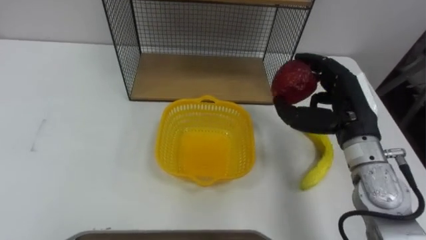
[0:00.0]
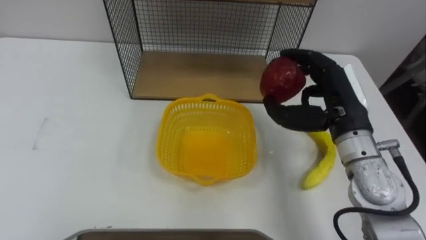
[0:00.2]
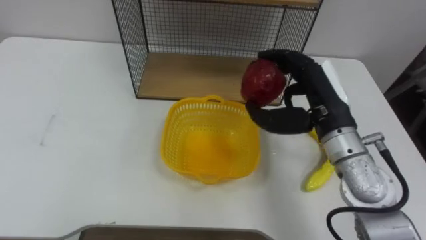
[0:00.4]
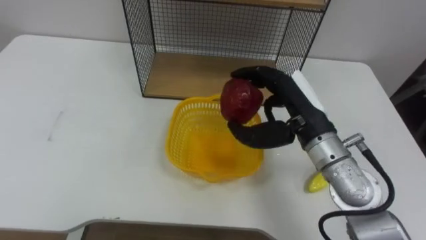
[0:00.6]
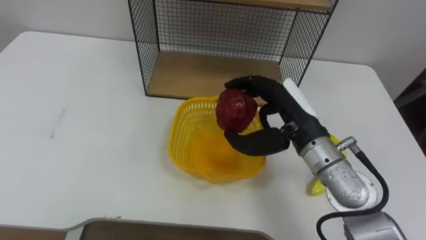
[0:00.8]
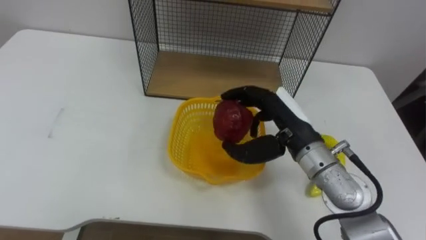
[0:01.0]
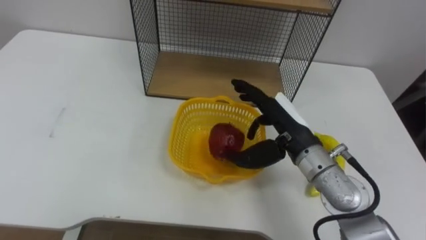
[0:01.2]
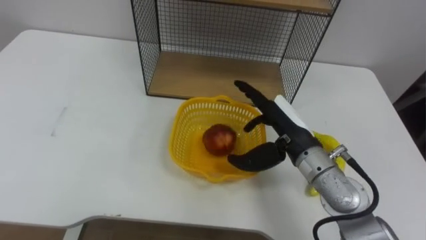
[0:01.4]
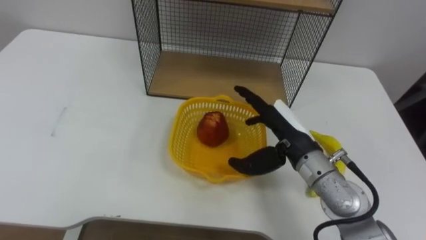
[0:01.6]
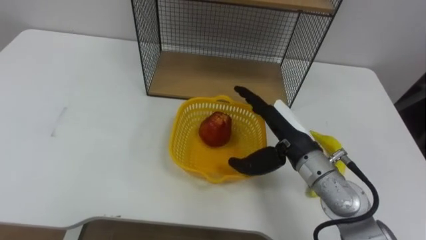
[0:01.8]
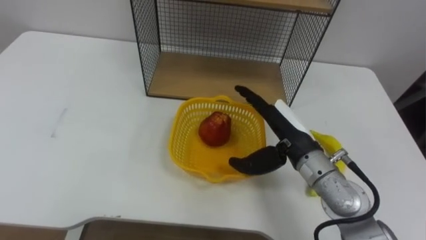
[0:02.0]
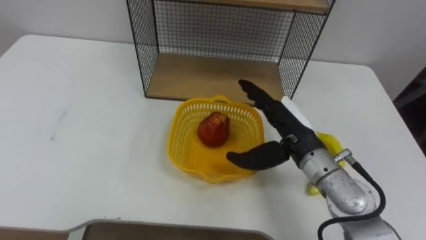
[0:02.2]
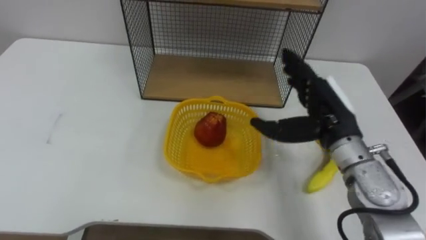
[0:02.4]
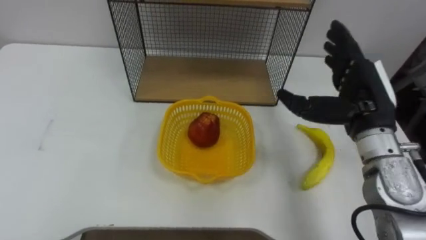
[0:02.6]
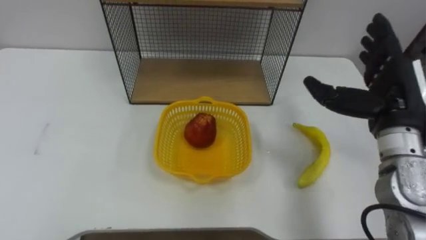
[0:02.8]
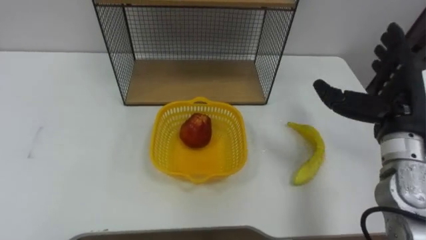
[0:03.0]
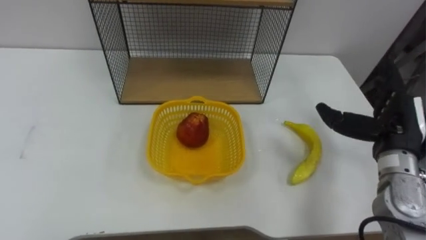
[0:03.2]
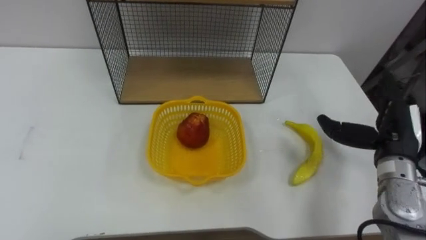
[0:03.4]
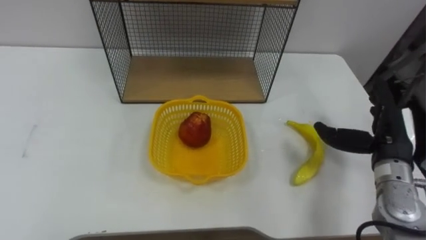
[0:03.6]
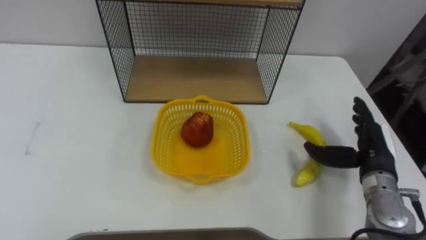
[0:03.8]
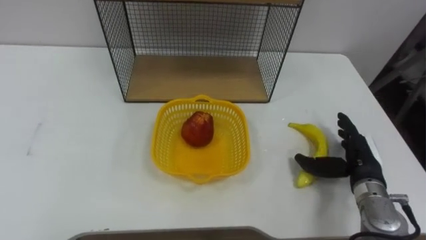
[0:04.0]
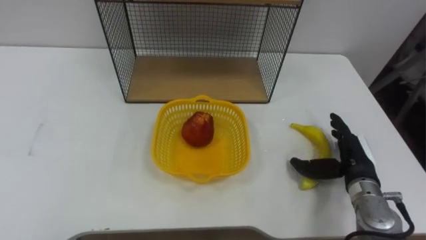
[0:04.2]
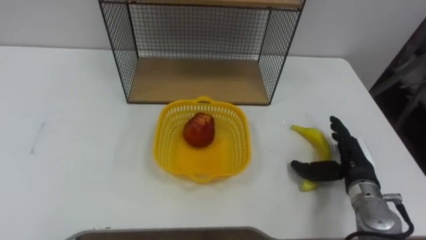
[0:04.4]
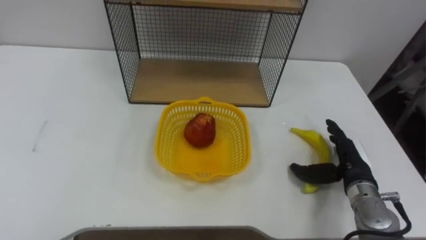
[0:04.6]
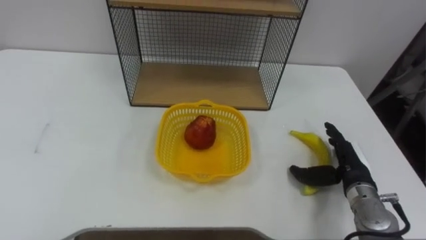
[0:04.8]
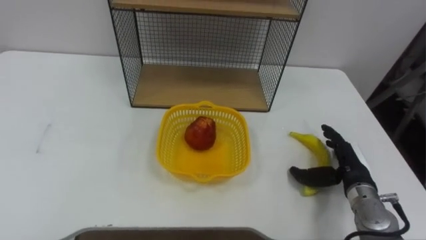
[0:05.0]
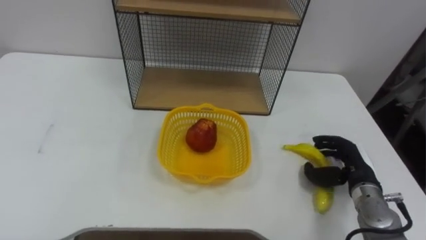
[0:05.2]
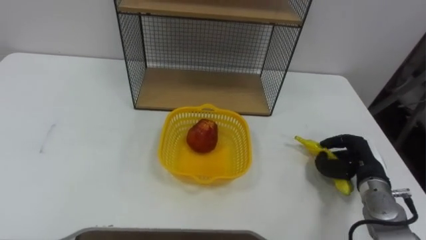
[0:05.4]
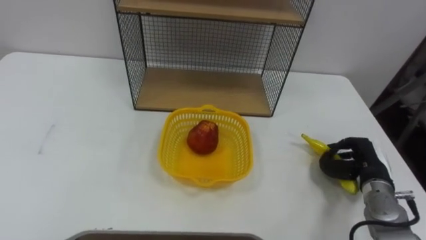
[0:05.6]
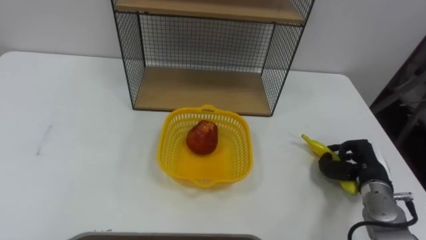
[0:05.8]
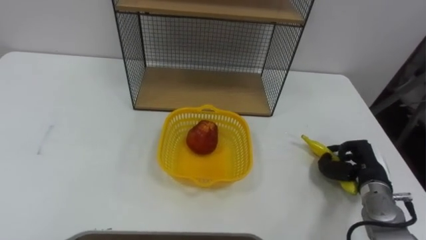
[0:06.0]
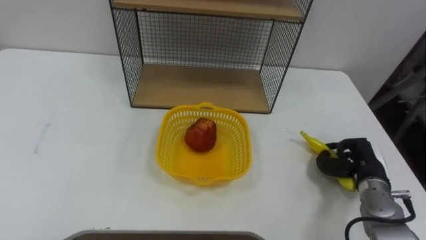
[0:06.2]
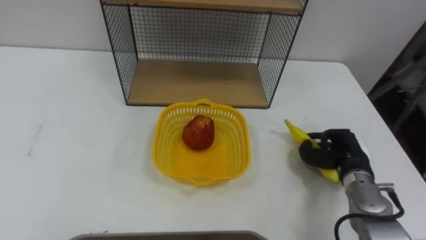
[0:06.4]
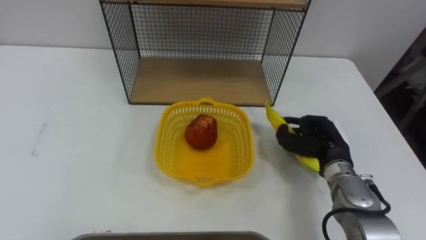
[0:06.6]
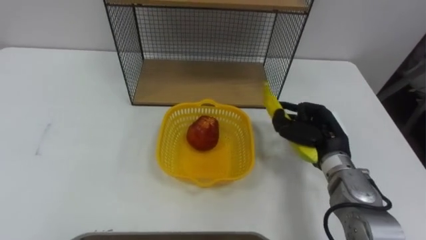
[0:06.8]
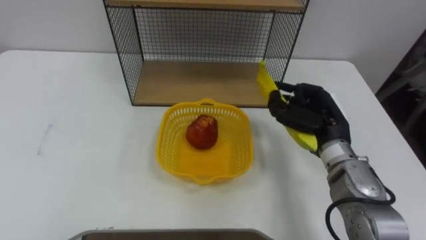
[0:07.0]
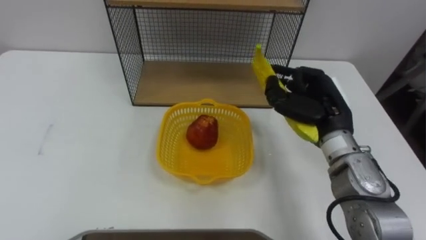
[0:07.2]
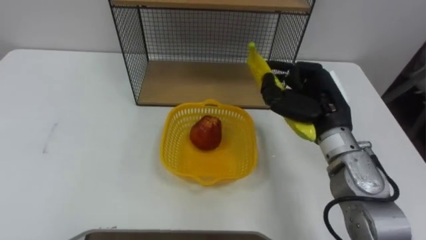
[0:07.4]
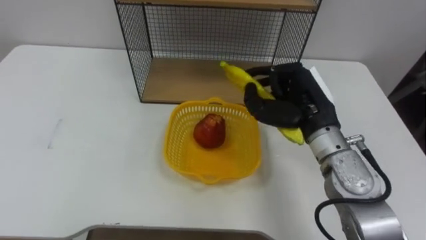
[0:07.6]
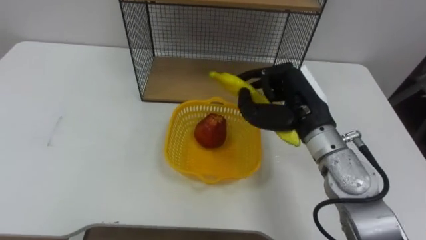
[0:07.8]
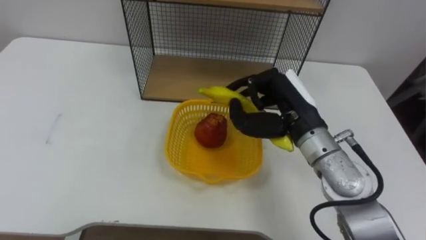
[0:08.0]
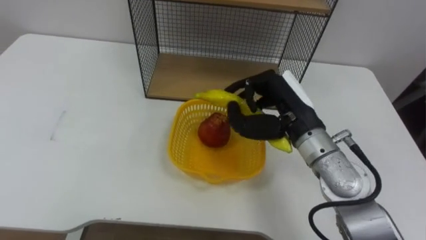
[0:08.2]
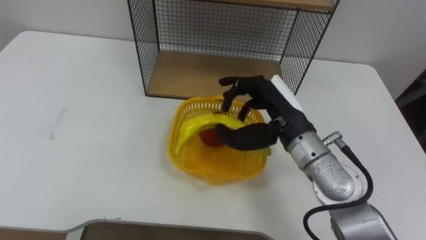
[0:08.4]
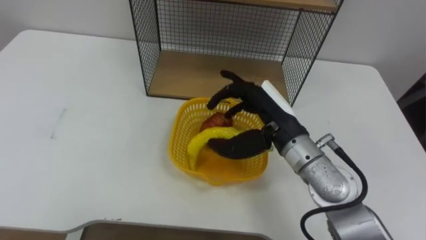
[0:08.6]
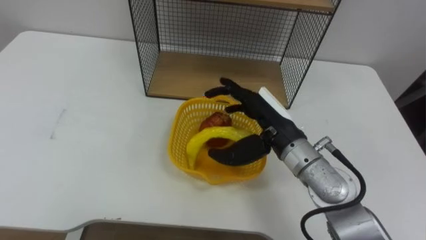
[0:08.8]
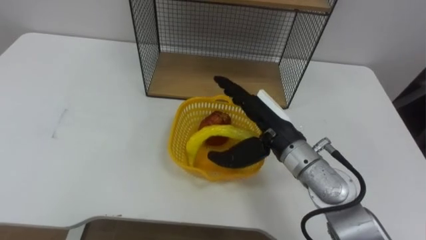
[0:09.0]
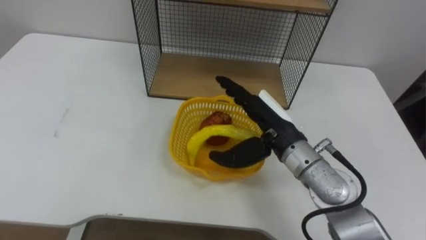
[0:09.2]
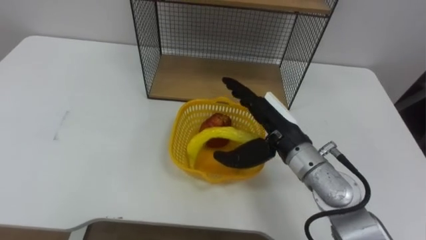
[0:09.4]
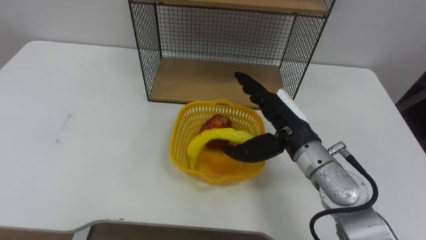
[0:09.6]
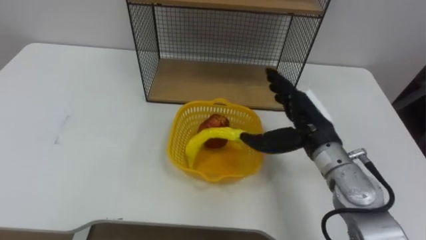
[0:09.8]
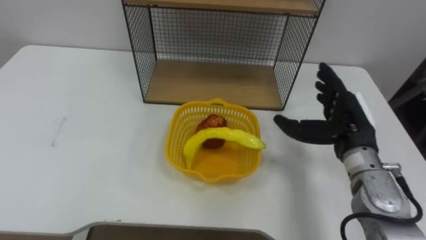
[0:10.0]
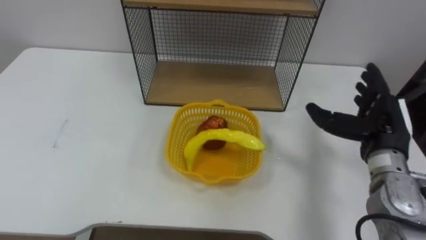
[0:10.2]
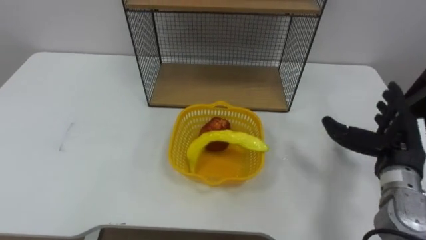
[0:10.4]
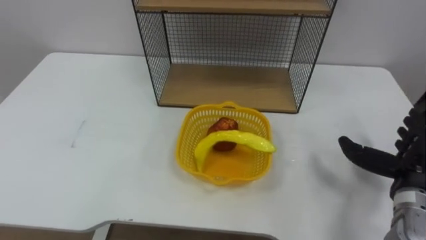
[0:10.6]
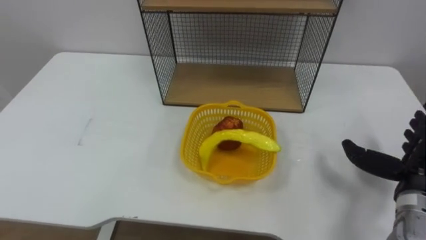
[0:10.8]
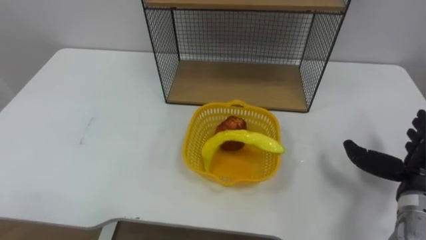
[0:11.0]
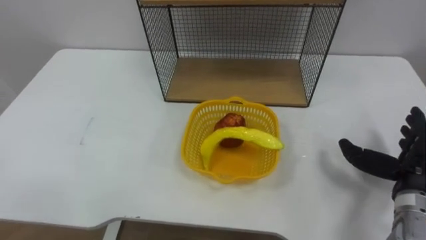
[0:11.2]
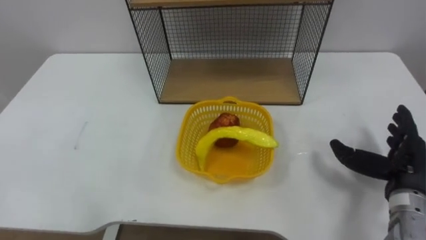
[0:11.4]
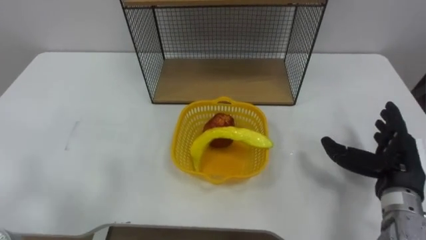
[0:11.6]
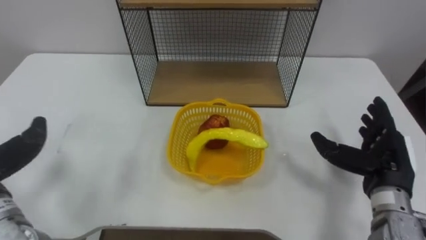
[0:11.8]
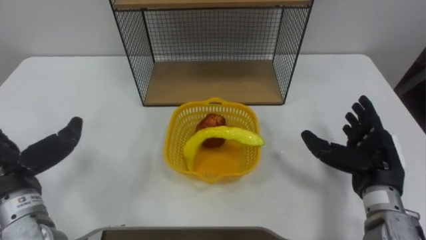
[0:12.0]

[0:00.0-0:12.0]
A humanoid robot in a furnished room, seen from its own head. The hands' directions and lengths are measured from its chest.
Task of the whole recording: Put the fruit on the table into the basket, then place the basket on the shelf.
0:00.0 to 0:01.6: The right hand travels to the left by about 10 cm, and opens up.
0:01.6 to 0:03.0: The right hand travels to the right and upward by about 15 cm.
0:03.0 to 0:04.4: The right hand shifts about 15 cm downward.
0:04.4 to 0:06.0: The right hand closes its fingers.
0:06.0 to 0:07.6: The right hand travels upward and to the left by some 25 cm.
0:07.6 to 0:09.0: The right hand shifts about 5 cm to the left, and opens up.
0:09.0 to 0:10.4: The right hand goes roughly 20 cm to the right.

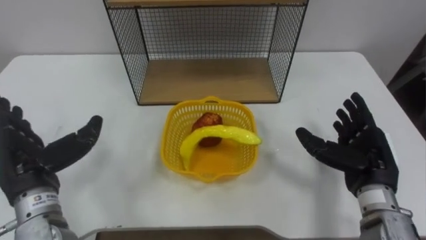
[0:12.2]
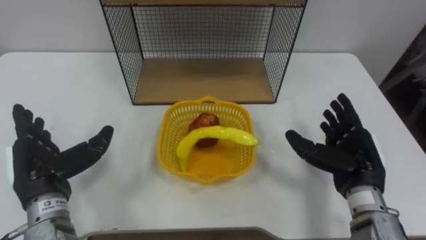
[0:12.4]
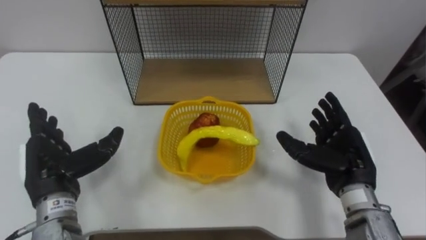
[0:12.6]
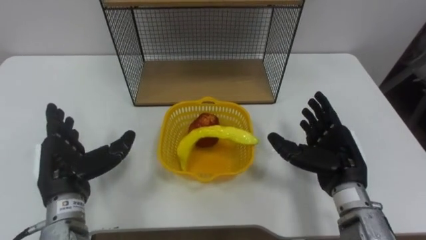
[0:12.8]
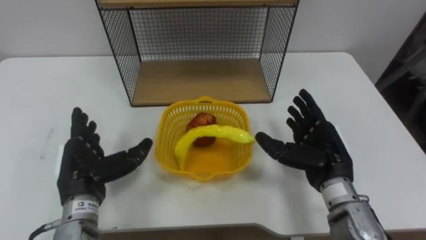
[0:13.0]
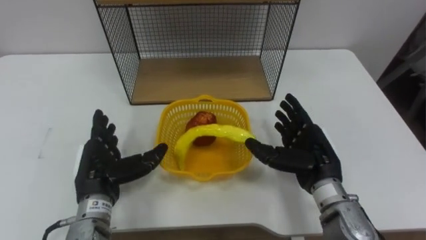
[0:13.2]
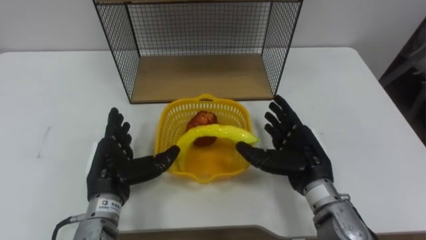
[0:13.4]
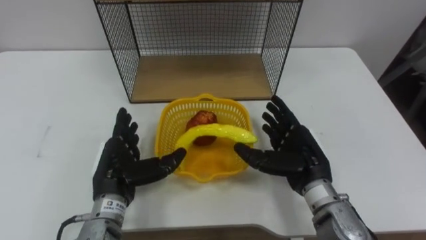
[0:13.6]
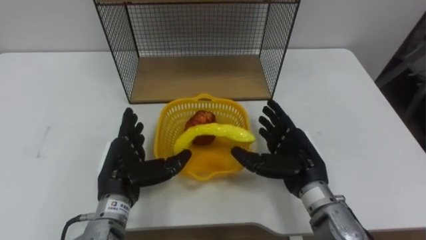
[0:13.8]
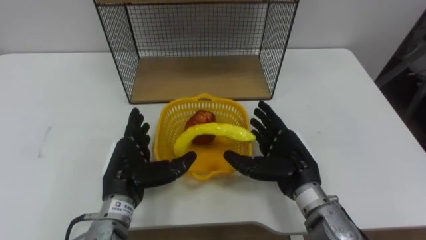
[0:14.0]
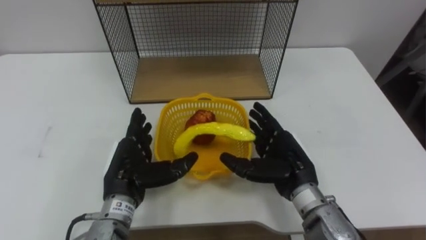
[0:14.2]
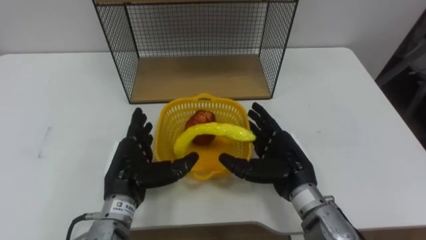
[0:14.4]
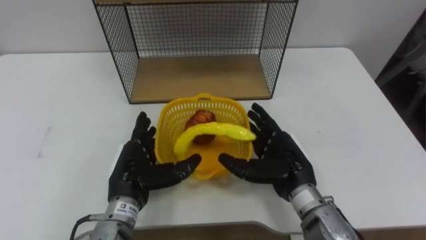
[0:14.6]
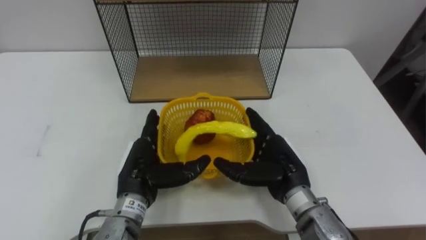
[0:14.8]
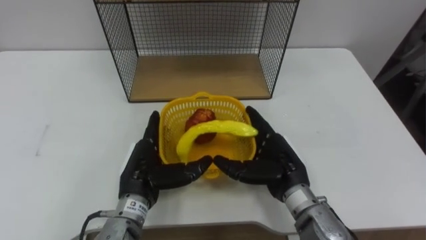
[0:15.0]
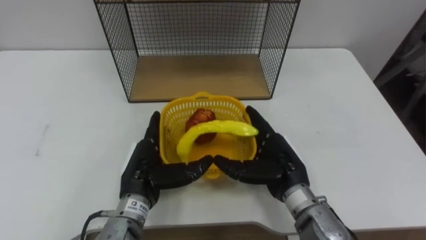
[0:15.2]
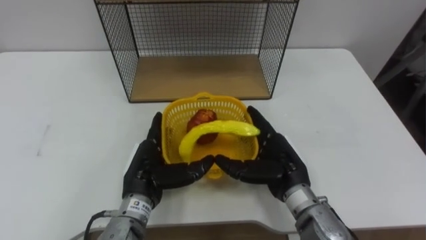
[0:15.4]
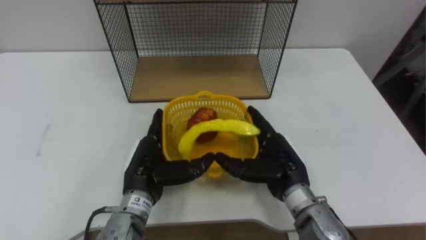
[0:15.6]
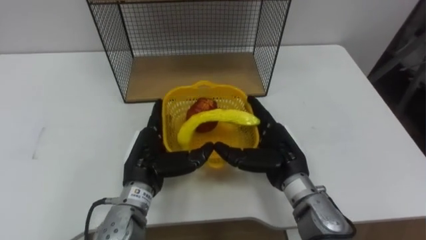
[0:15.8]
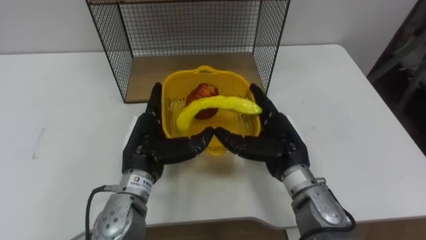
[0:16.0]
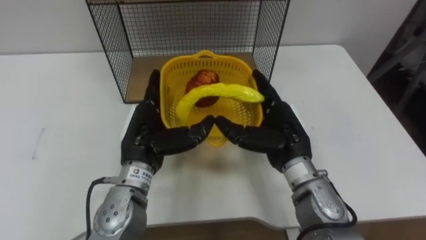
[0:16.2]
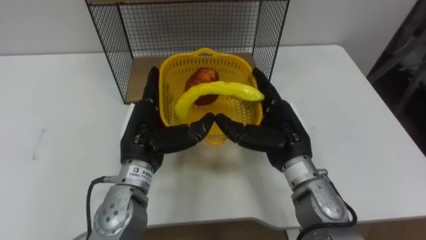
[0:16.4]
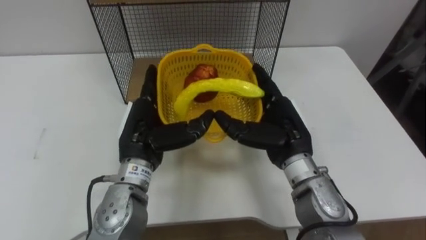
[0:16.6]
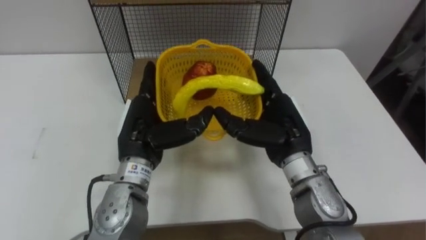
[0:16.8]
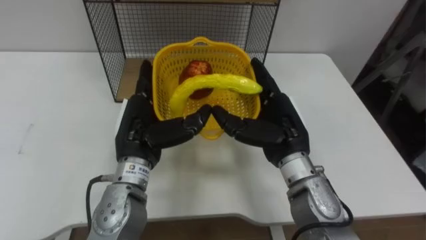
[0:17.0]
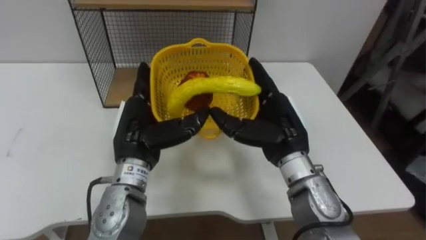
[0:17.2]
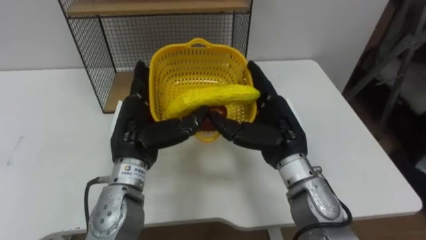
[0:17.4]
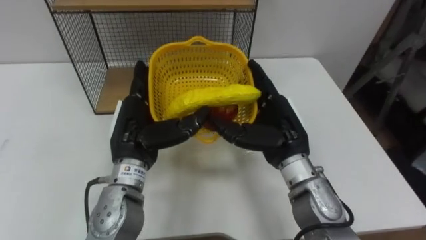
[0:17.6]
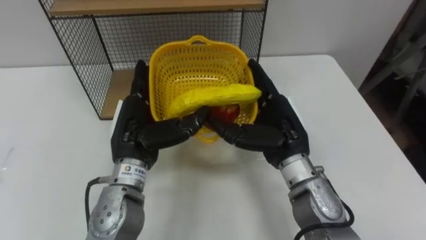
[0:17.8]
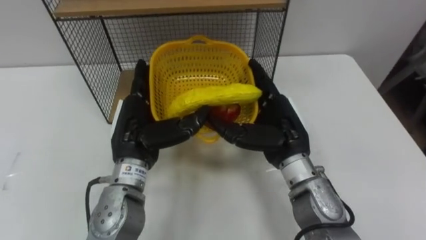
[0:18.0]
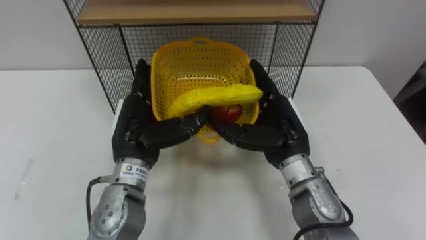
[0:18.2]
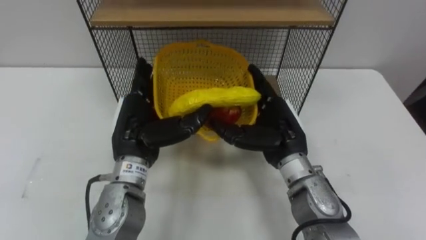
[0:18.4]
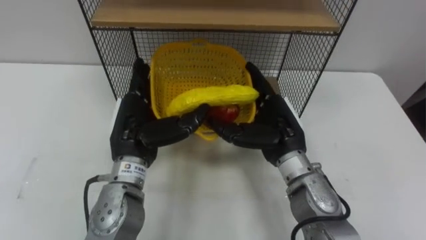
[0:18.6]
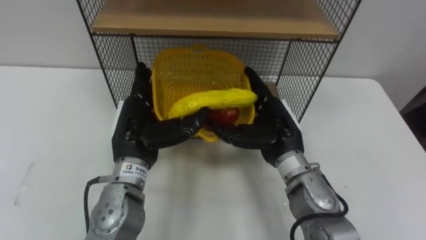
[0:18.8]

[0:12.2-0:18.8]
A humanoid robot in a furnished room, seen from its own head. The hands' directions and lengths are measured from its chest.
Task of the whole recording: Put the fruit on the table into the basket, then place the basket on the shelf.
0:12.2 to 0:13.8: The right hand moves to the left, roughly 10 cm. Meanwhile the left hand shifts some 15 cm to the right and downward.
0:13.8 to 0:15.4: The hands stay close to where they were, moving slightly.
0:15.4 to 0:17.2: The two hands go some 5 cm upward.
